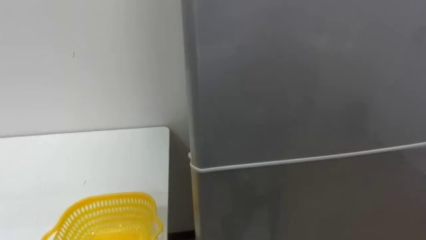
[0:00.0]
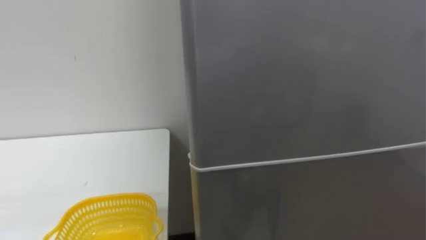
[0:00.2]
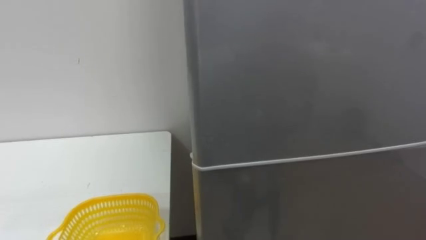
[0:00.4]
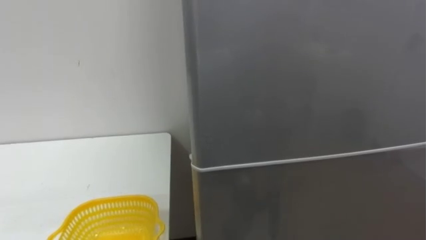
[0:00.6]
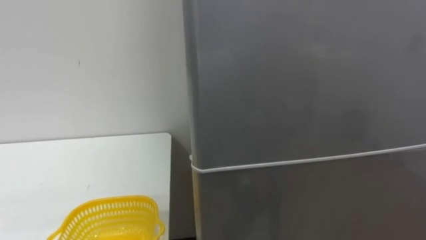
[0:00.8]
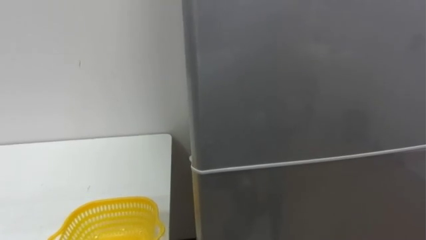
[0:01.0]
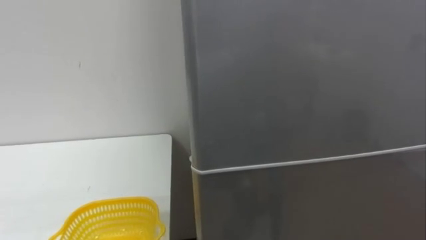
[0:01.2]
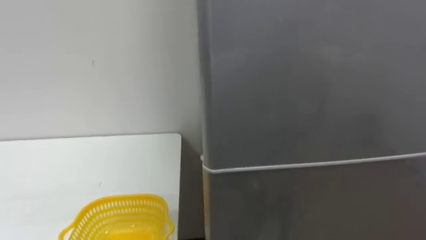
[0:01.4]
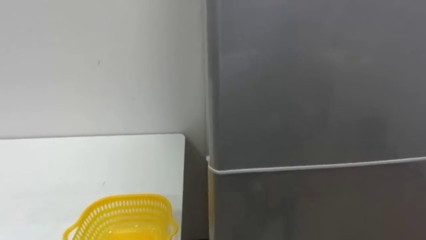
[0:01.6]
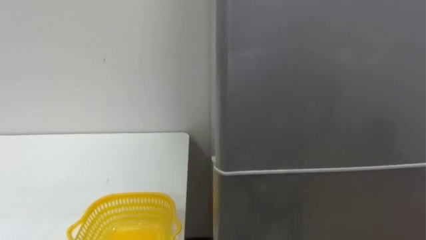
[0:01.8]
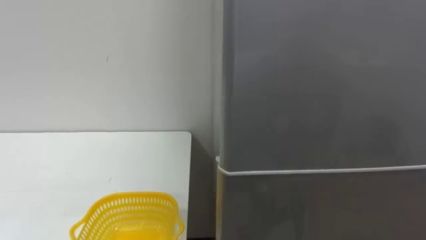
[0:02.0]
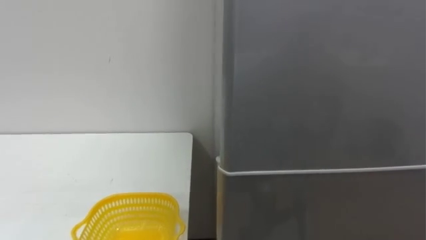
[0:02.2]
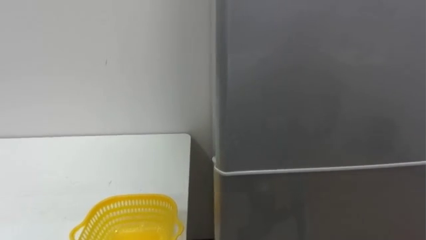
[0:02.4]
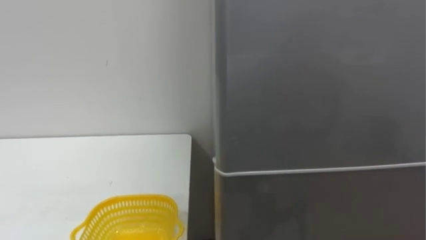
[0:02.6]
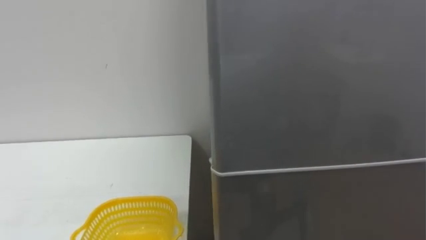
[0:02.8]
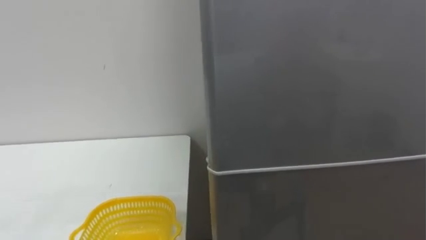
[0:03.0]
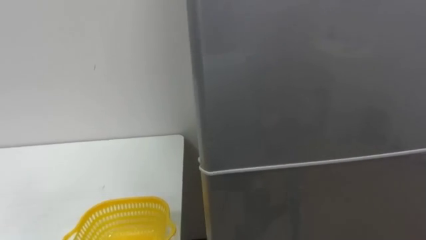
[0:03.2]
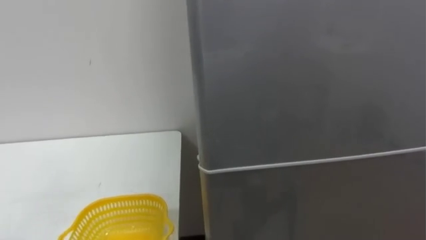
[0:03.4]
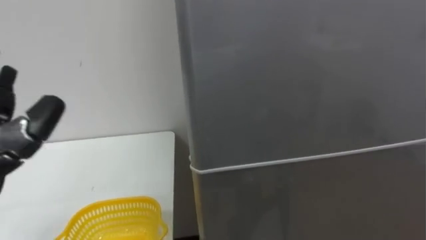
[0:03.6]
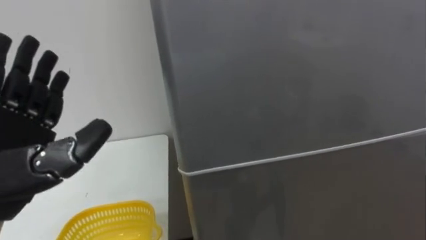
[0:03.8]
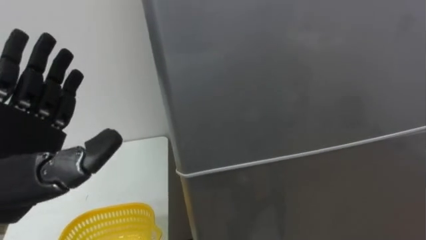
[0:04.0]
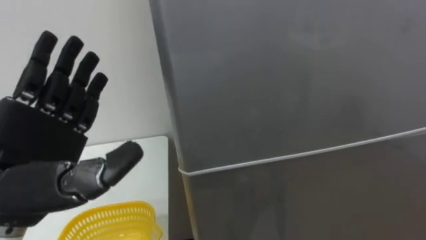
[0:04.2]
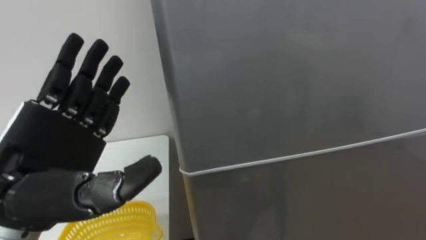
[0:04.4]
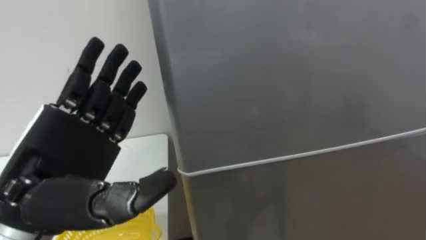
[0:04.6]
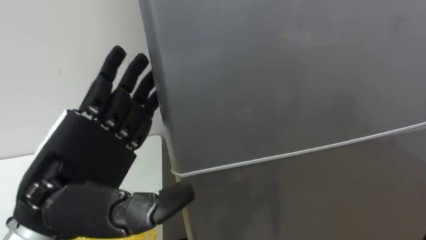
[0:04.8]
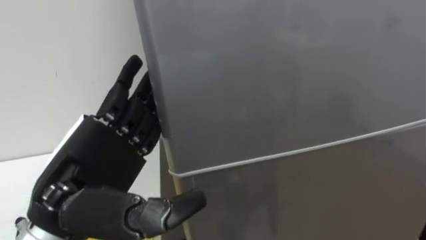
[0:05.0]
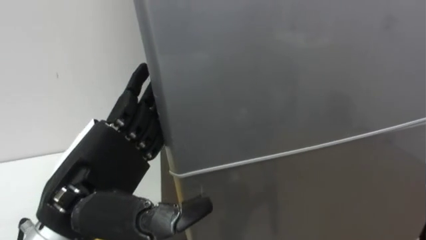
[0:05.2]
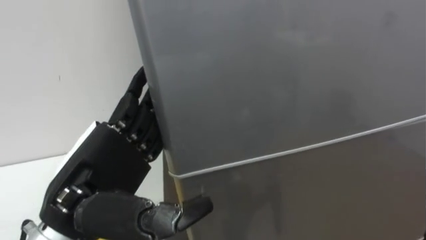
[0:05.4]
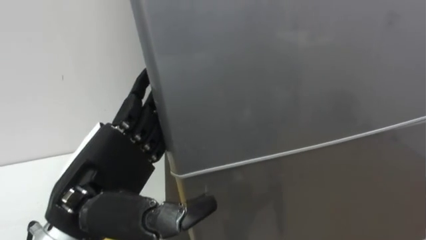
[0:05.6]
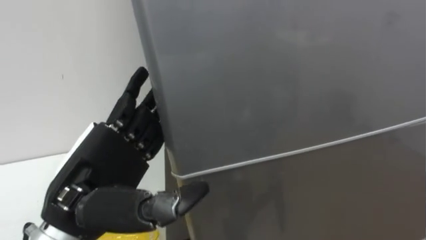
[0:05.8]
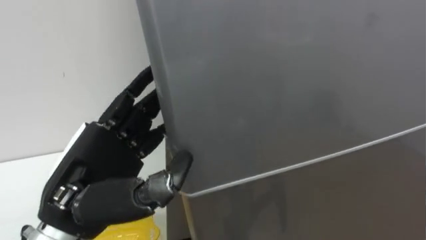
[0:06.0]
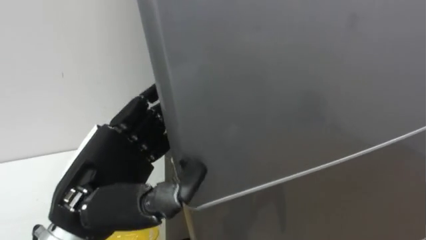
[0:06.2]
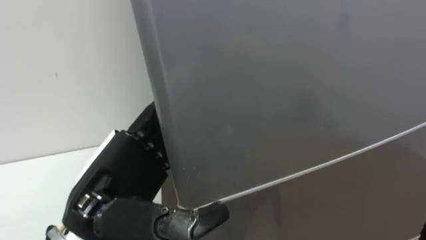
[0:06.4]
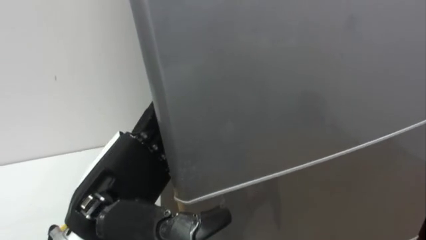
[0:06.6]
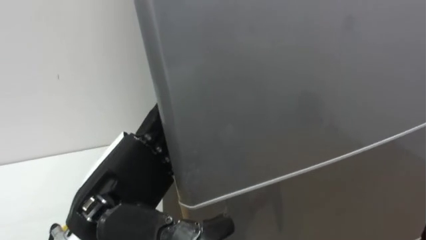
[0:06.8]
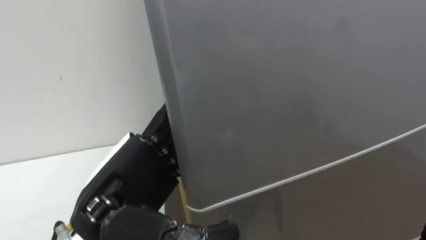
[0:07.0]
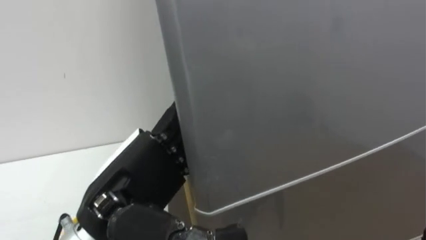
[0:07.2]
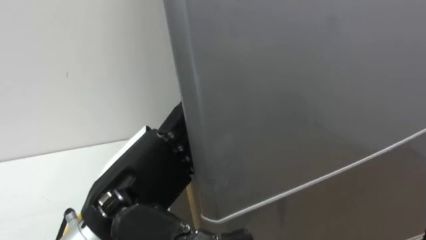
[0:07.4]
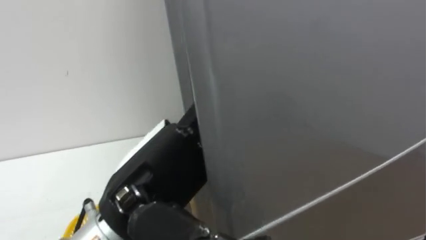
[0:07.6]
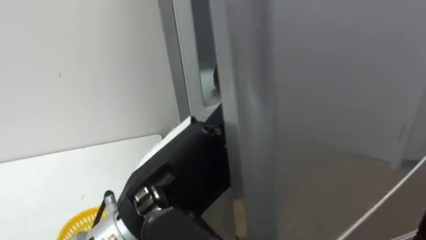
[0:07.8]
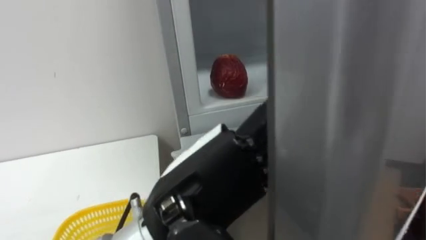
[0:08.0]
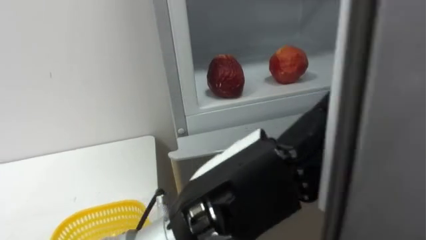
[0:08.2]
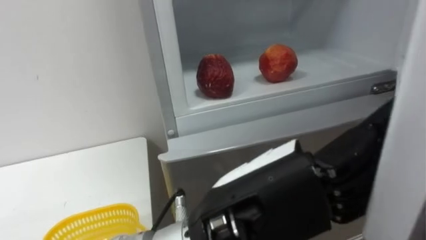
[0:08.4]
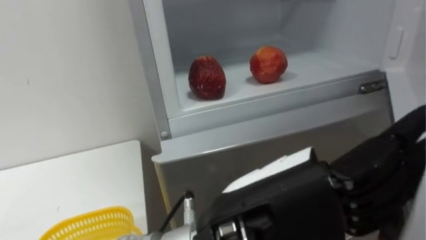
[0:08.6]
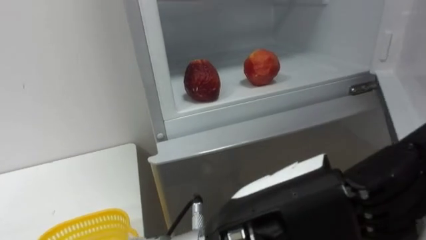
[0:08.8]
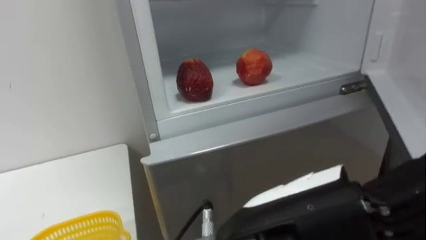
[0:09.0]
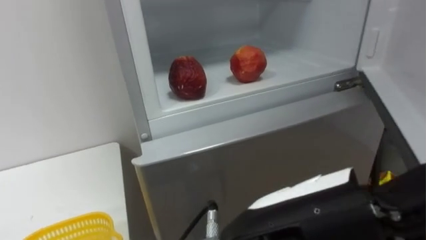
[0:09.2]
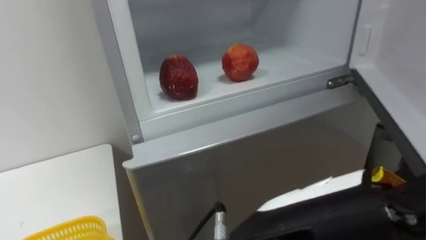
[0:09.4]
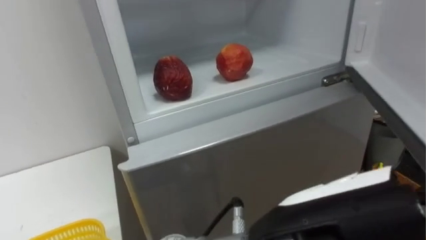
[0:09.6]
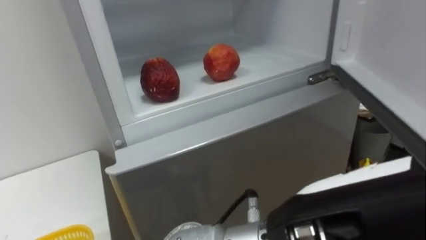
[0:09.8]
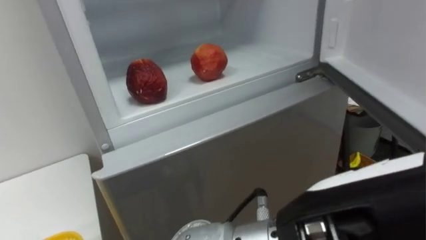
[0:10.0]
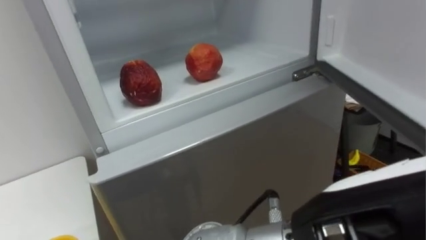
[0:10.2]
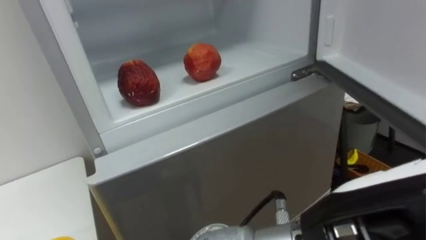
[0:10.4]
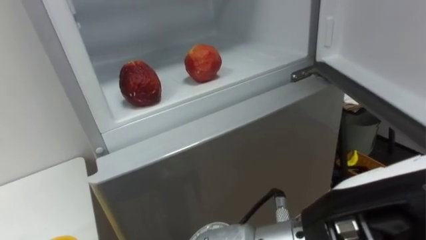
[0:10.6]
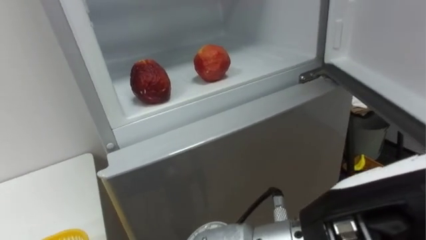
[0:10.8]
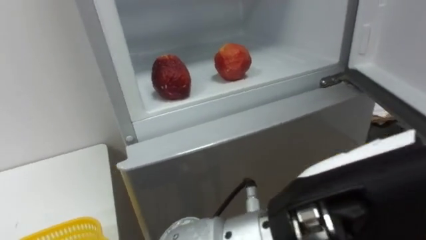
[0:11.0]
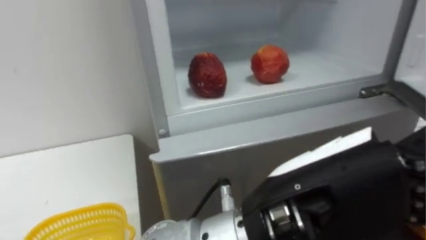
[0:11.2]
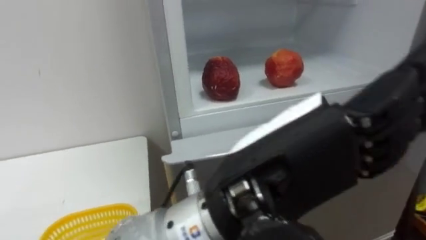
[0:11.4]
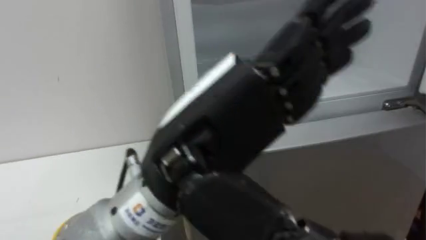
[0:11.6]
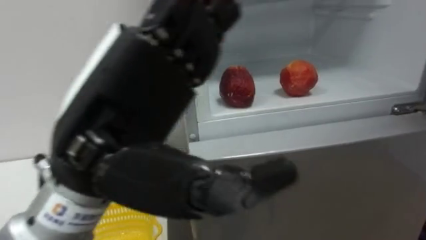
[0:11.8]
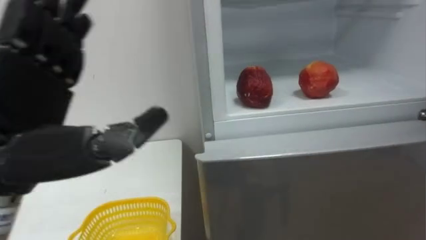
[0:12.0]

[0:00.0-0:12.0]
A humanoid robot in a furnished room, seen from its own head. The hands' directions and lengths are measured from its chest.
Task of the whole recording: Open the refrigerator door, take out the apple and the pomegranate, place them in the fruit basket on the left, and close the refrigerator door.
0:04.4 to 0:06.0: The left hand shifts by approximately 5 cm.
0:06.0 to 0:07.6: The left hand travels to the right by some 5 cm.
0:07.6 to 0:09.0: The left hand goes roughly 15 cm to the right and backward.
0:09.0 to 0:10.4: The left hand moves to the right, approximately 5 cm.
0:10.4 to 0:12.0: The left hand travels to the left by approximately 25 cm.

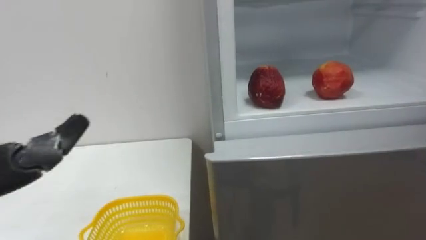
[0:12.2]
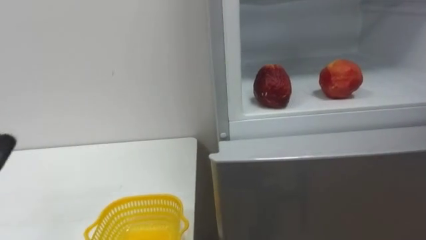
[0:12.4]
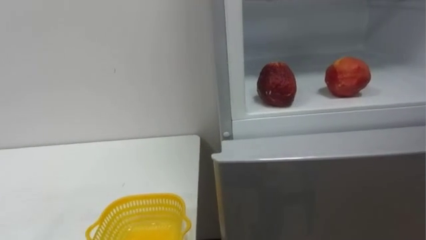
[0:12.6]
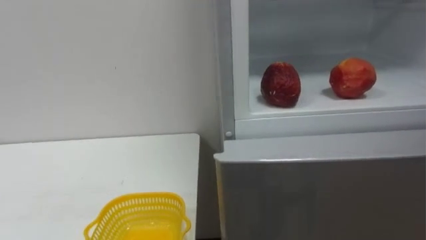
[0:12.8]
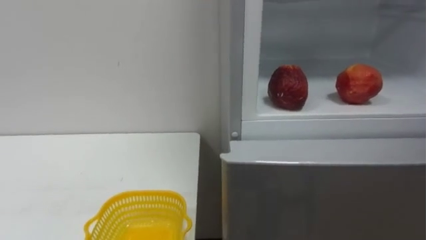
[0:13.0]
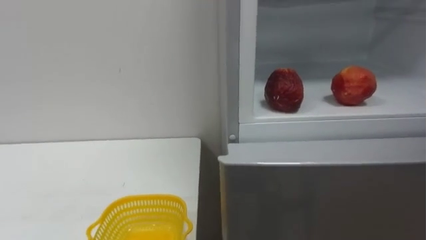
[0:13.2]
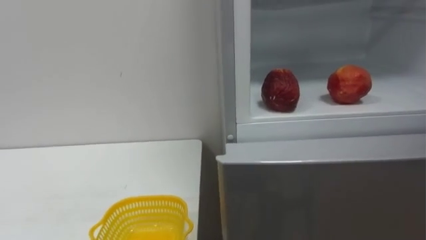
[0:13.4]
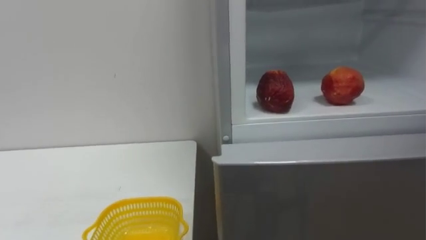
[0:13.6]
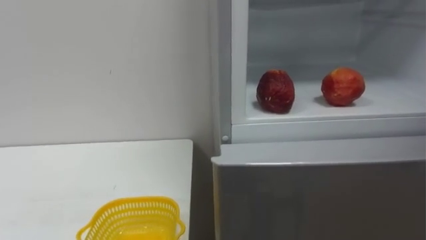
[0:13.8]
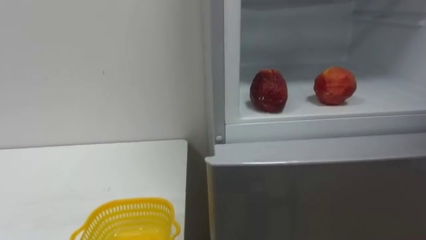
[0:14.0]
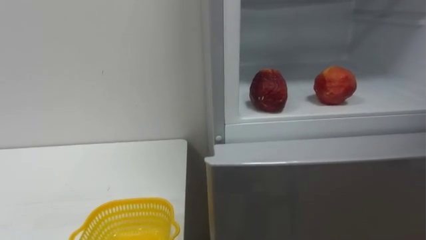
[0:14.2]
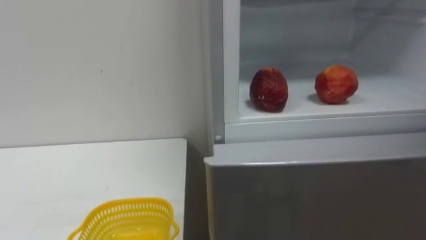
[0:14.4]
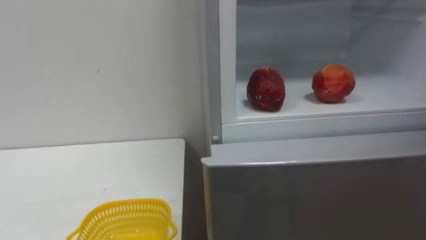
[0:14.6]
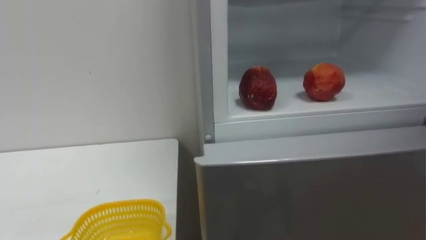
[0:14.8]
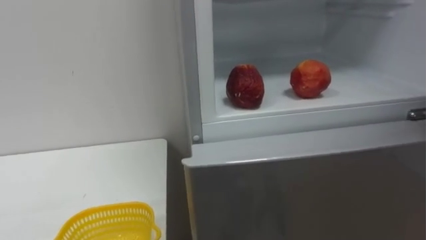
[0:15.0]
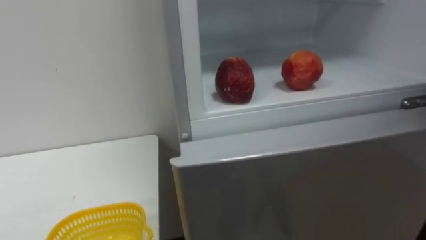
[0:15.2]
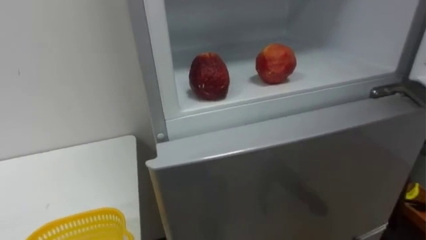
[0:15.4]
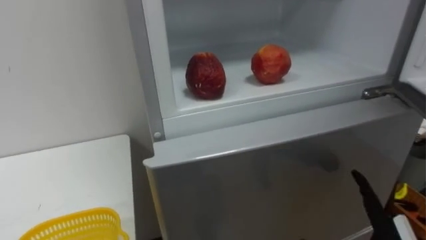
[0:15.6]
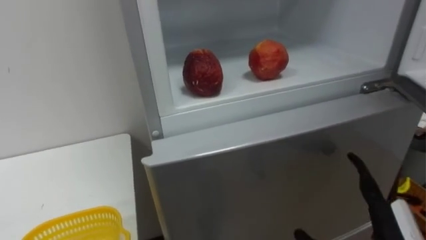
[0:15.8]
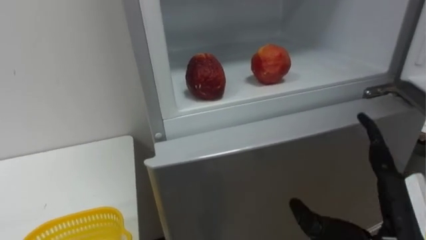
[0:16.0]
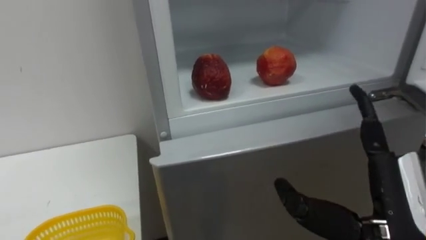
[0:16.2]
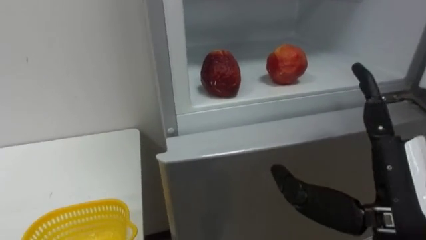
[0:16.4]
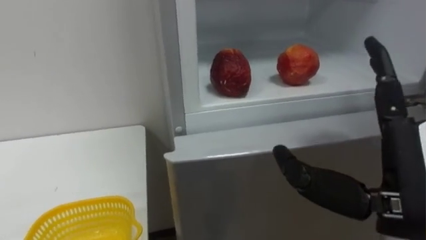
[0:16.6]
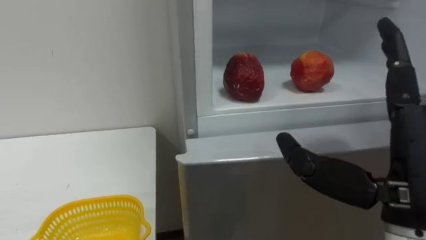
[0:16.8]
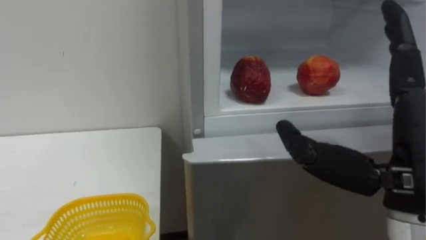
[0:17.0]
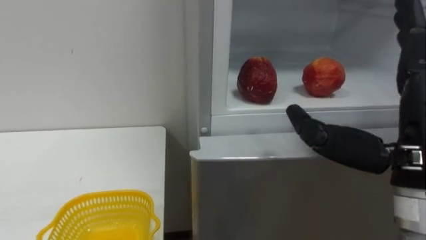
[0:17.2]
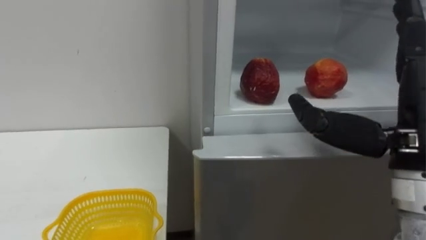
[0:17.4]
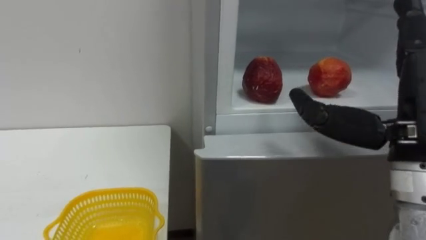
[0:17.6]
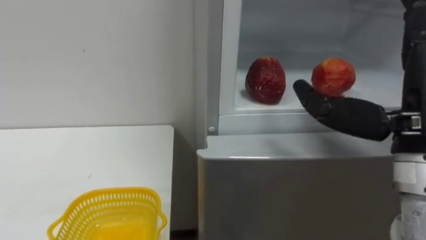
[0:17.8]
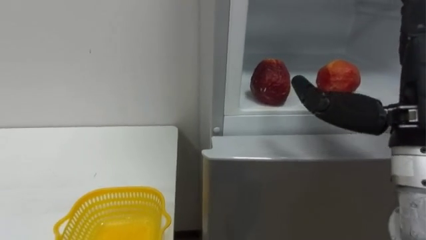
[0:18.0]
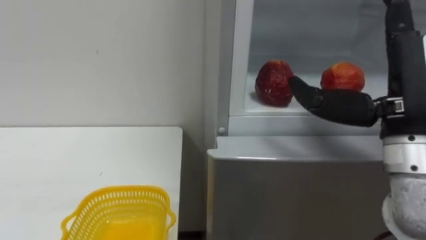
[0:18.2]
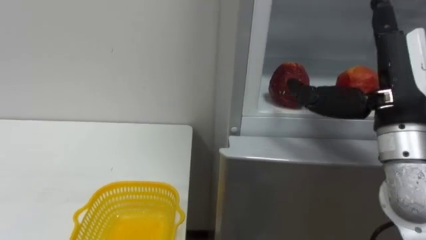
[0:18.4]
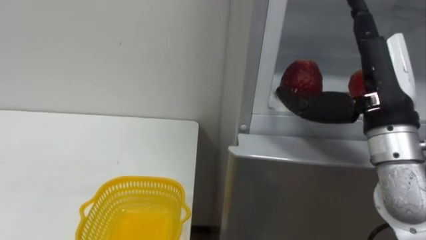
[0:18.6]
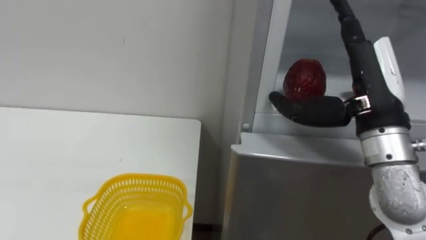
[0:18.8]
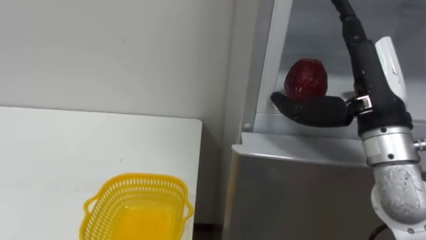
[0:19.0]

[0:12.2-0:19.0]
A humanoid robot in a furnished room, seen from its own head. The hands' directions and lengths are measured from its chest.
Task of the whole recording: Open the refrigerator door, take out the apple and the pomegranate, place them in the fruit basket on the left, and close the refrigerator door.
0:16.2 to 0:17.6: The right hand heads upward, covering about 10 cm.
0:17.6 to 0:19.0: The right hand shifts some 5 cm forward.
